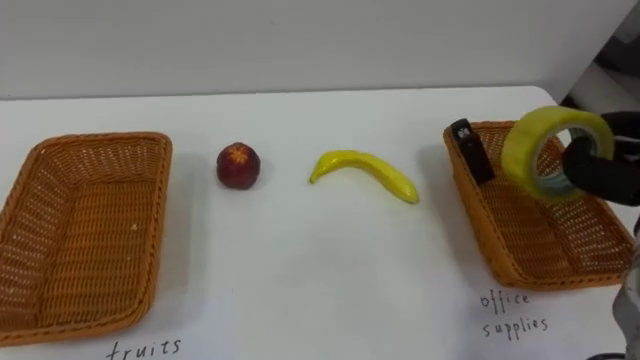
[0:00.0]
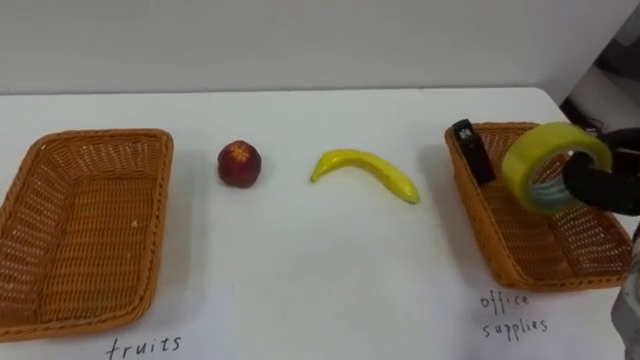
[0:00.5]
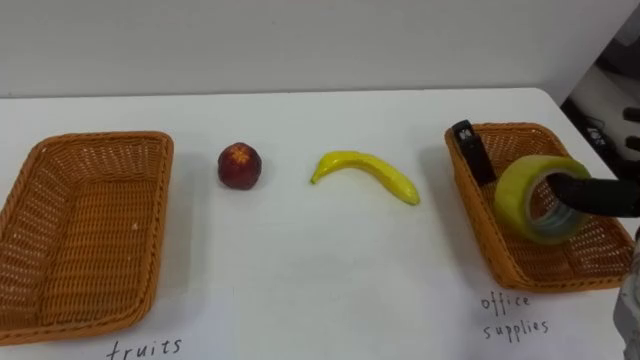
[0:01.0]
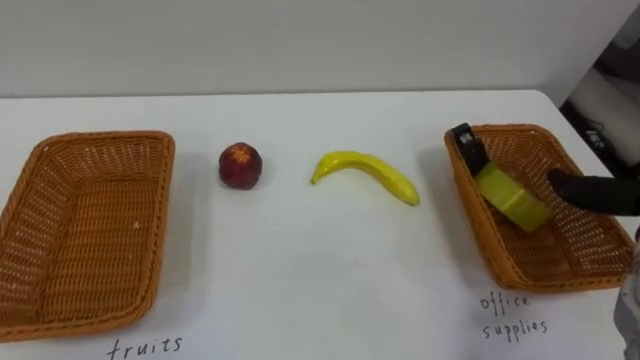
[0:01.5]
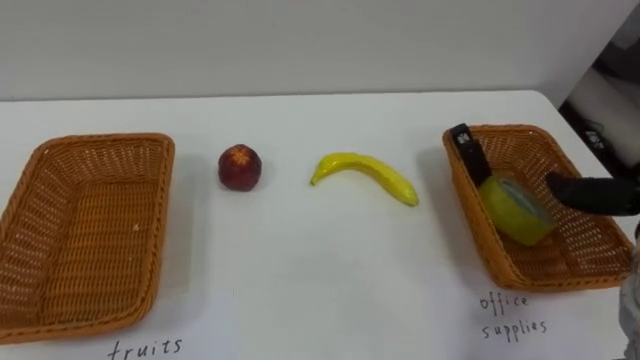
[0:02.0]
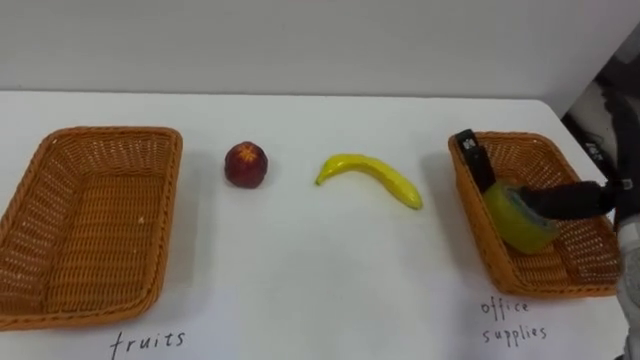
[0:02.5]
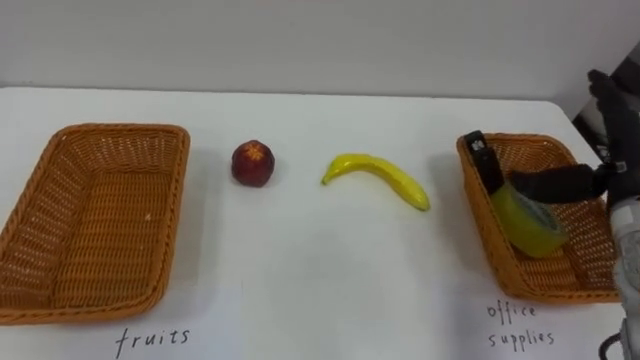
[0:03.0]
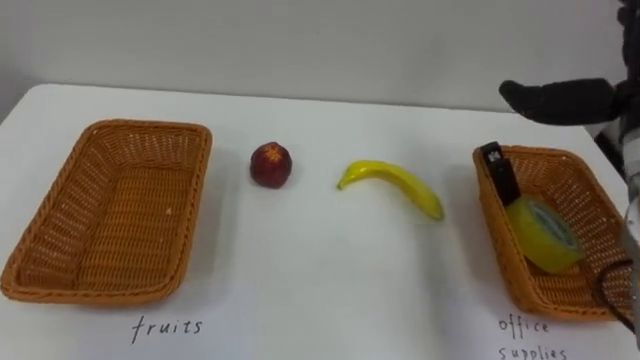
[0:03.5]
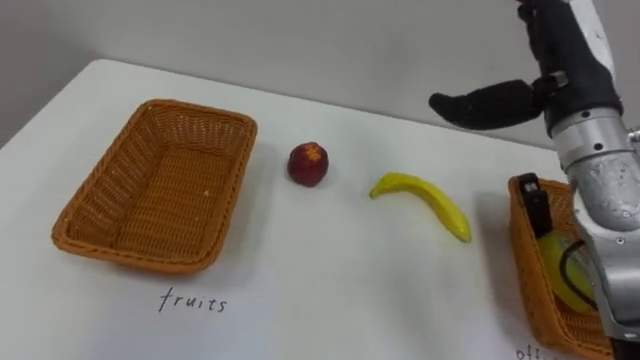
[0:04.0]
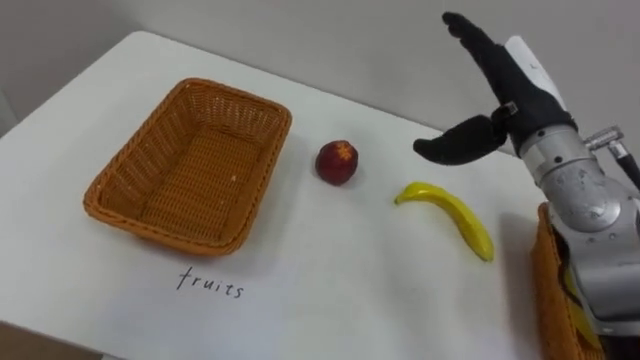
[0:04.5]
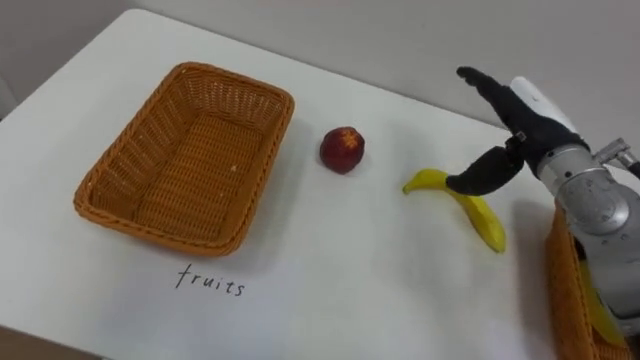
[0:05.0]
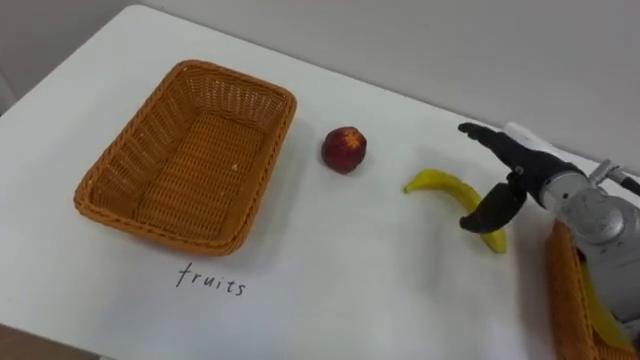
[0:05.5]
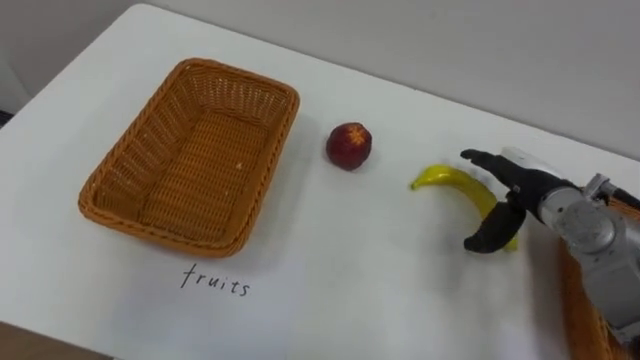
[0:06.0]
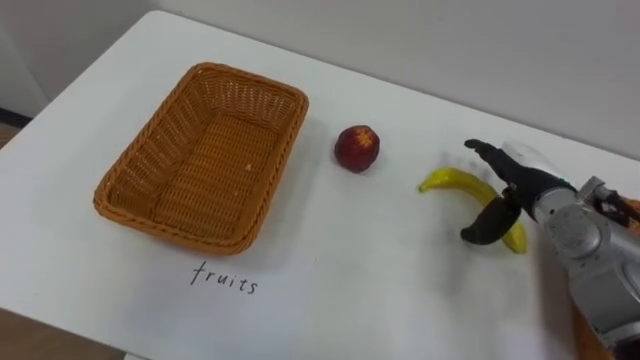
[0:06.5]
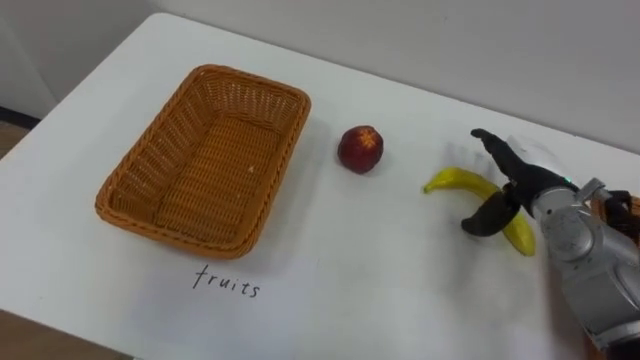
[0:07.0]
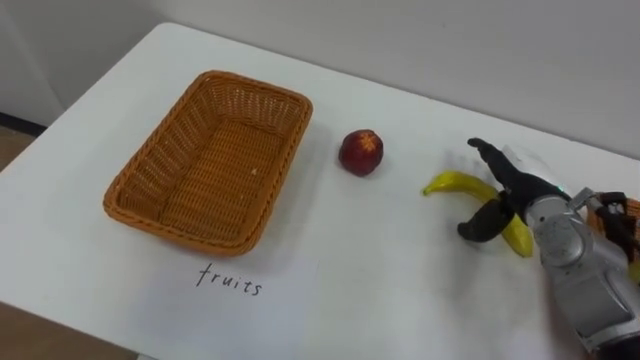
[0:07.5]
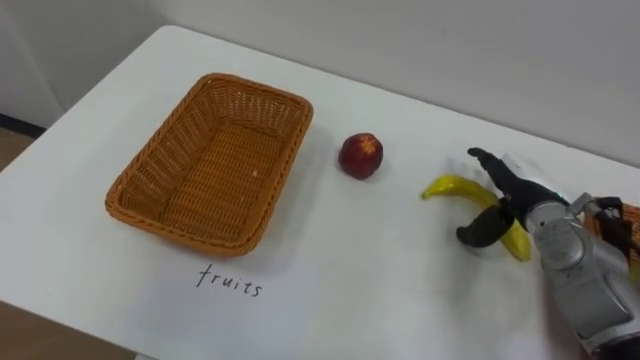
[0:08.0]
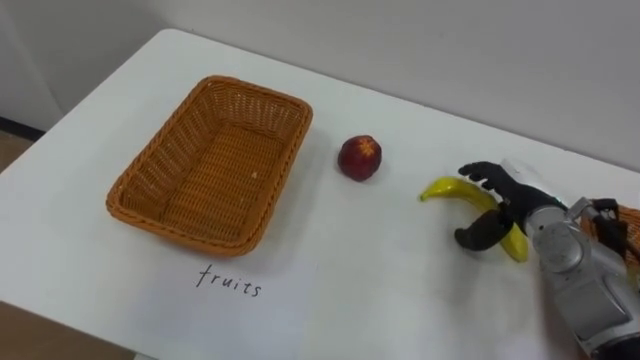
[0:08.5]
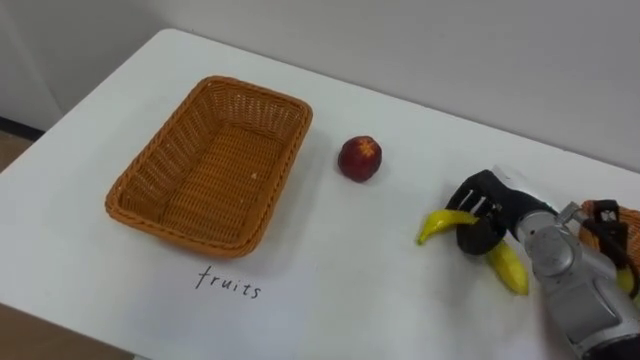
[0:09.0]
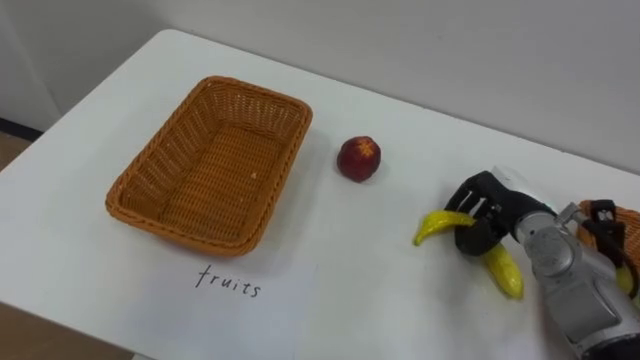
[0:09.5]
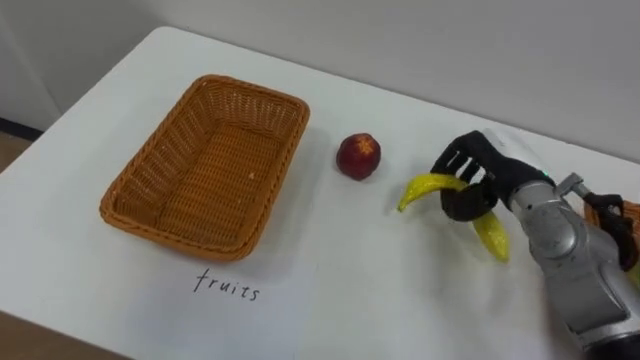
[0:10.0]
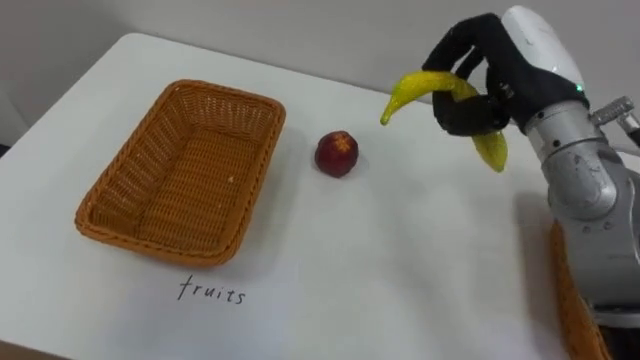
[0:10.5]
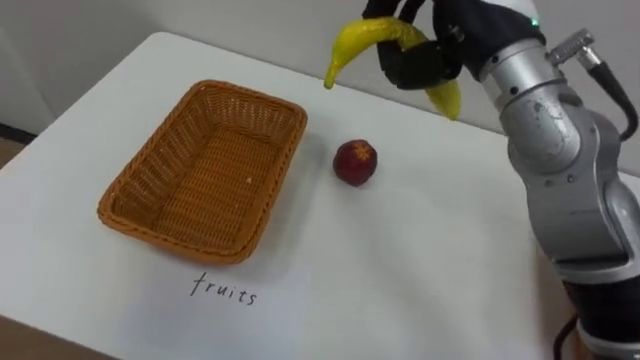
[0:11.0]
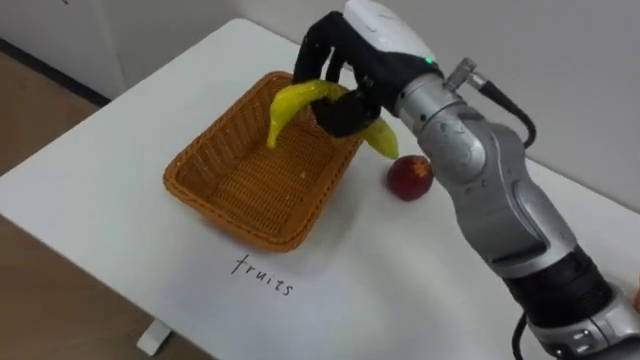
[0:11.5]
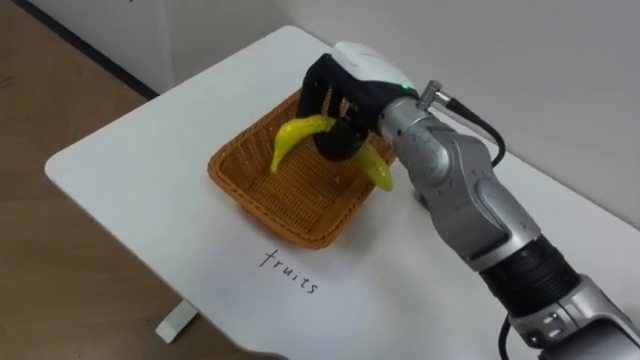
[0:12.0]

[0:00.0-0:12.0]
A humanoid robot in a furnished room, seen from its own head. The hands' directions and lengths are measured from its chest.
Task of the whole recording: Separate the items on the table and place them into the two baskets.
0:04.0 to 0:06.0: The right hand goes about 15 cm downward.
0:08.0 to 0:10.0: The right hand shifts by approximately 5 cm, and closes.
0:10.0 to 0:12.0: The right hand moves to the left and upward, roughly 20 cm.

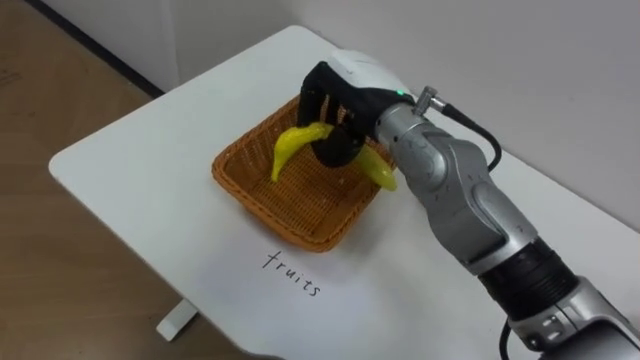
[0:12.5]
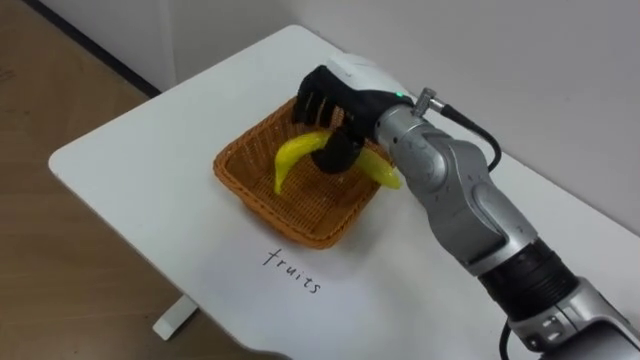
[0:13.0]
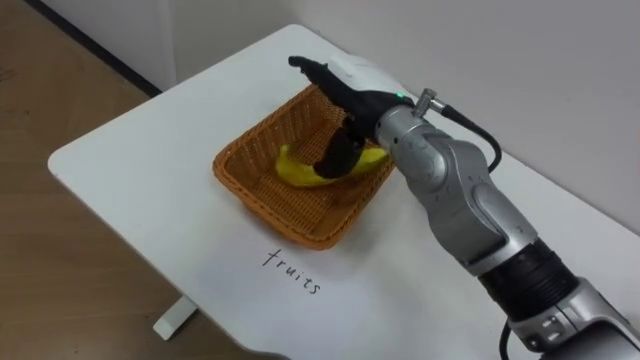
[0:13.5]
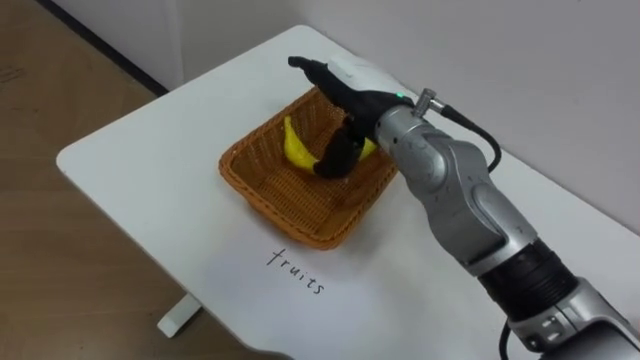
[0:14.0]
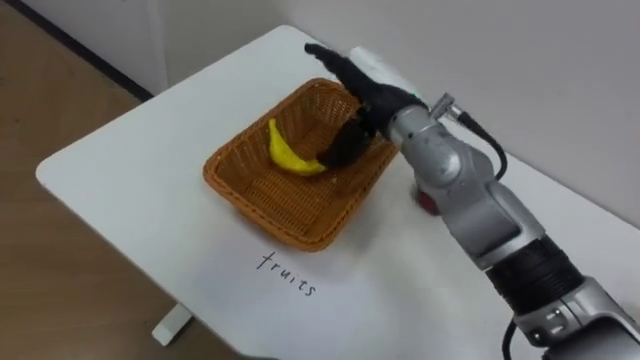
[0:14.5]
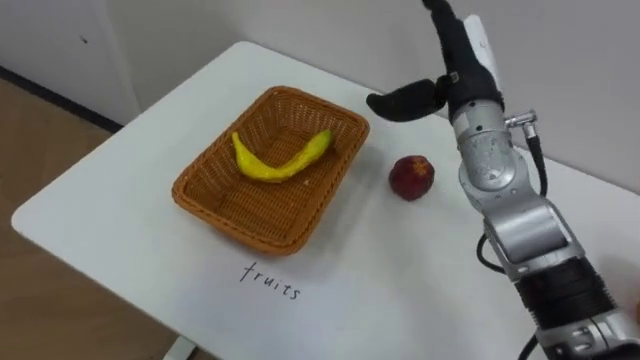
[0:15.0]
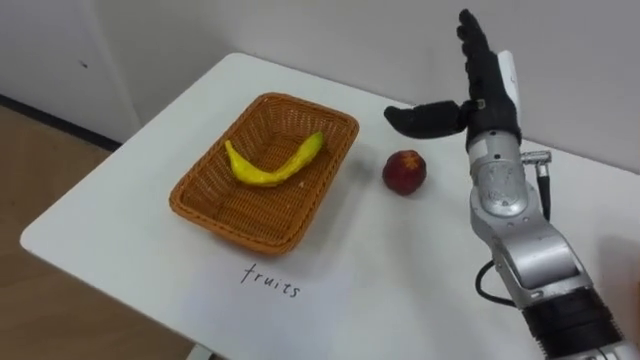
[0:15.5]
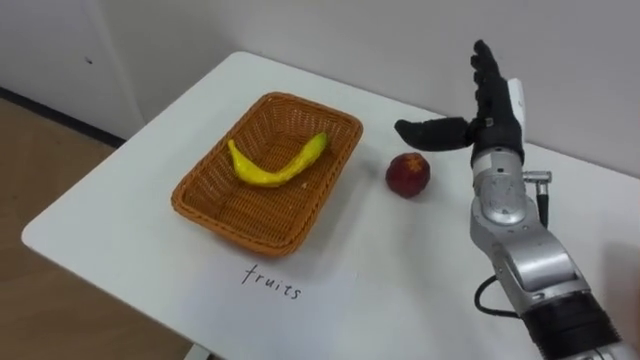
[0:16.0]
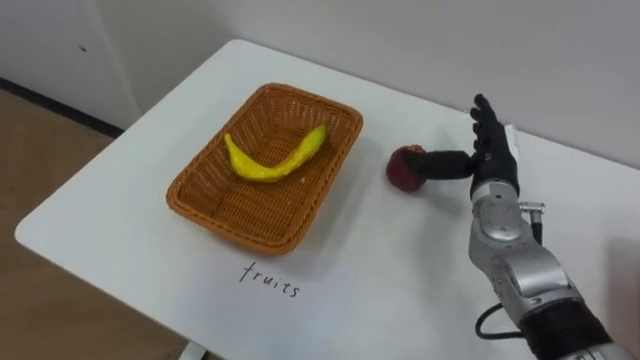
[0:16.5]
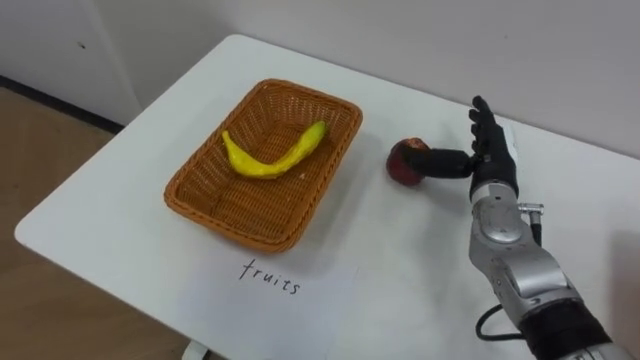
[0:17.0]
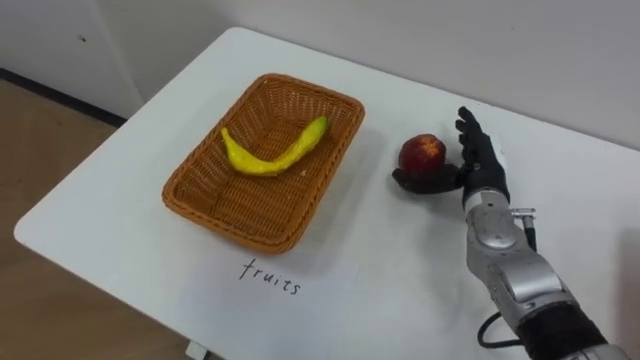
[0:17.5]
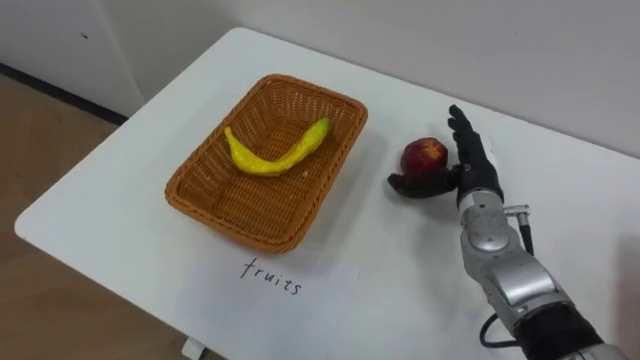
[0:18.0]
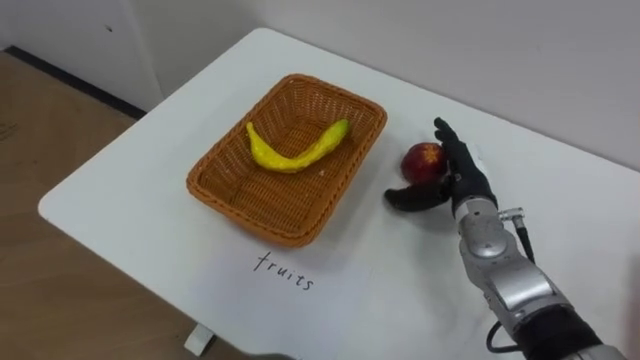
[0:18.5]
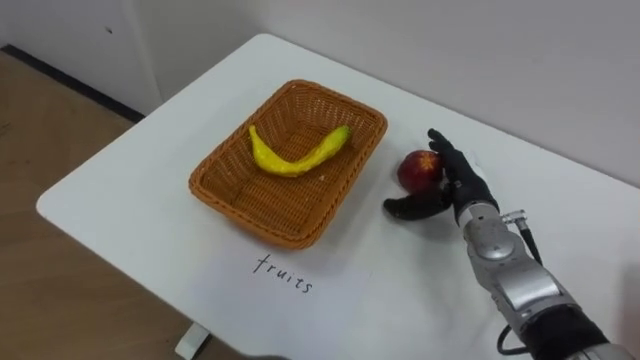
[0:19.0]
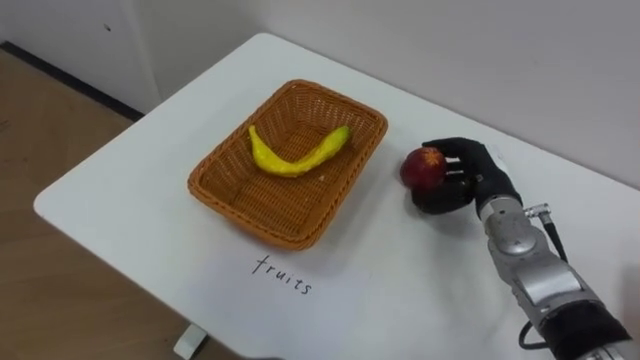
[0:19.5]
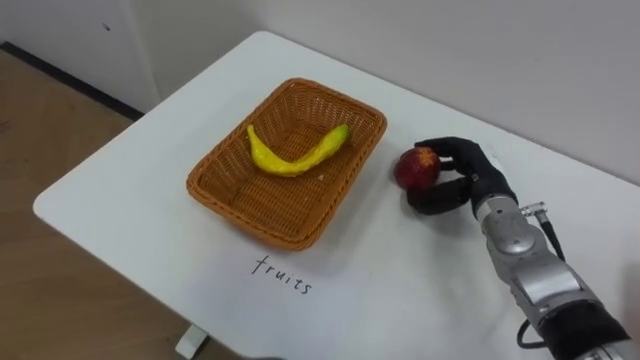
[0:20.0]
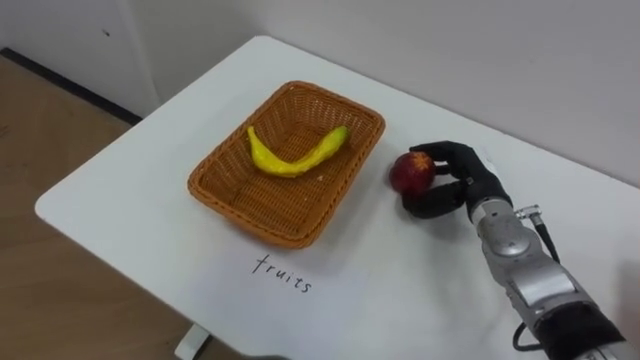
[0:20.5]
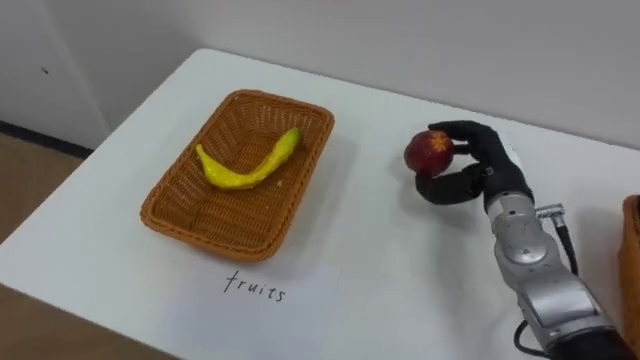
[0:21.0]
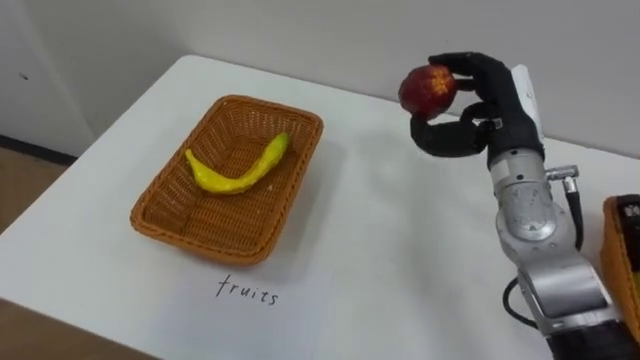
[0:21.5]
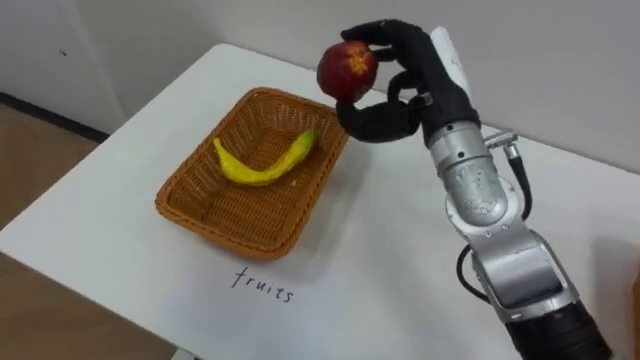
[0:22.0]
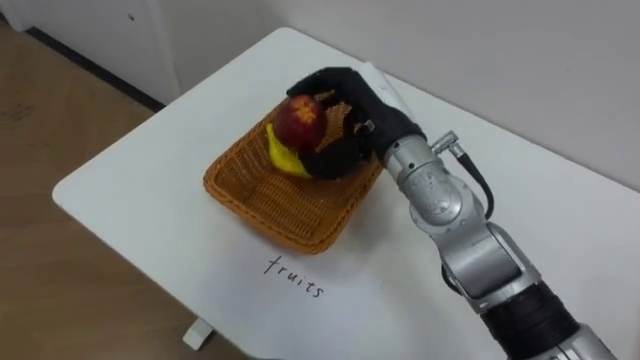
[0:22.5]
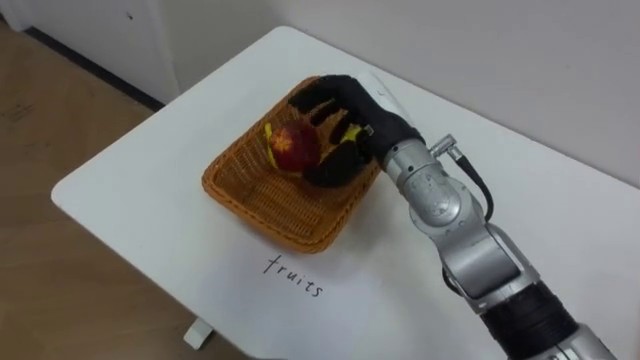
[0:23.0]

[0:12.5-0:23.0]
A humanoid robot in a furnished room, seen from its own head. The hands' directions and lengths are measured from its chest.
Task of the whole recording: Separate the items on the table and place them into the two baskets.
0:12.5 to 0:14.5: The right hand opens up.
0:14.5 to 0:16.5: The right hand is displaced to the right and downward by approximately 20 cm.
0:16.5 to 0:19.0: The right hand ends up roughly 5 cm from where it was.
0:19.0 to 0:21.0: The right hand ends up approximately 5 cm from where it was, and closes up.
0:21.0 to 0:23.0: The right hand moves to the left and upward, some 20 cm.
